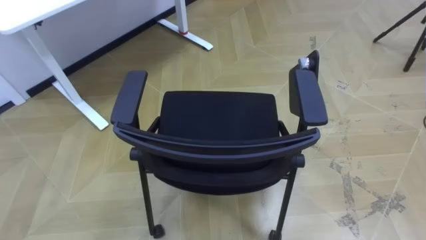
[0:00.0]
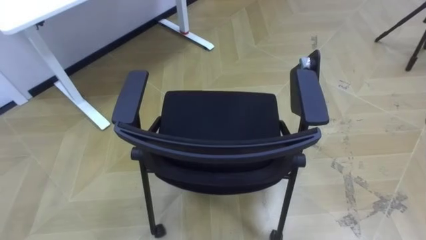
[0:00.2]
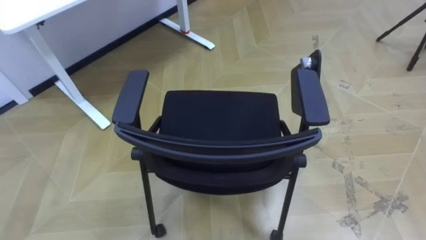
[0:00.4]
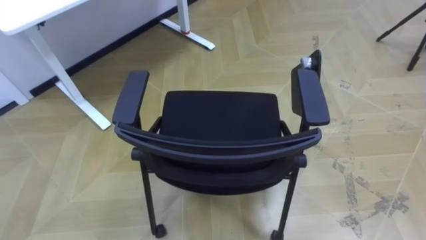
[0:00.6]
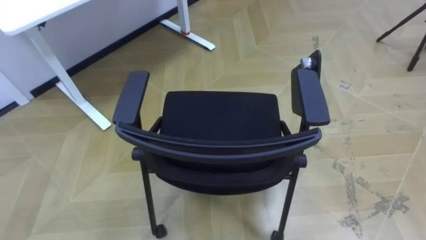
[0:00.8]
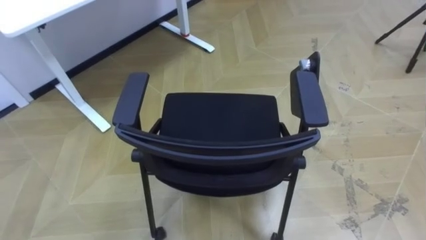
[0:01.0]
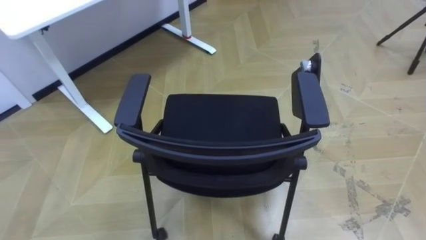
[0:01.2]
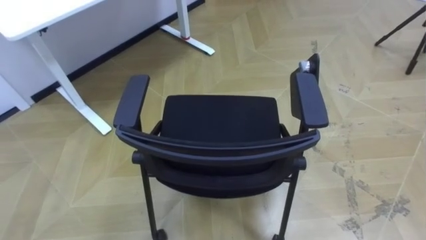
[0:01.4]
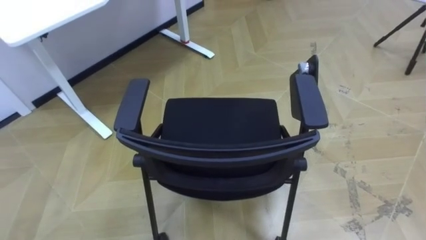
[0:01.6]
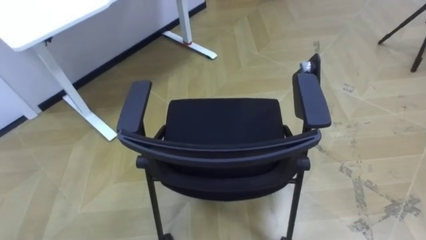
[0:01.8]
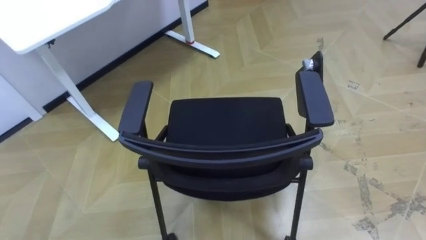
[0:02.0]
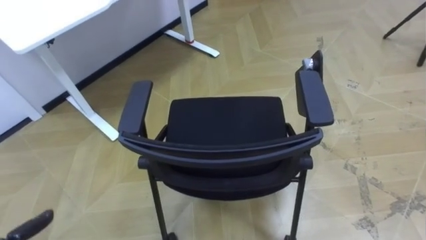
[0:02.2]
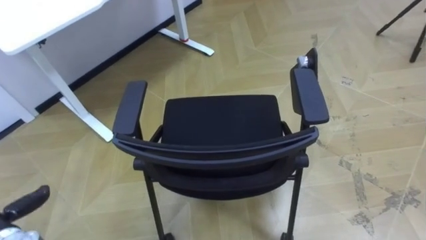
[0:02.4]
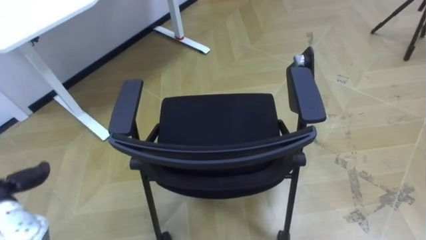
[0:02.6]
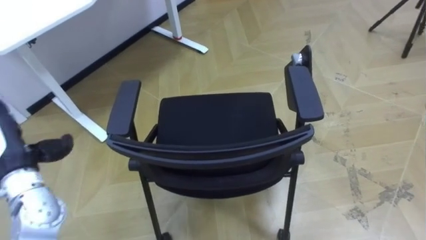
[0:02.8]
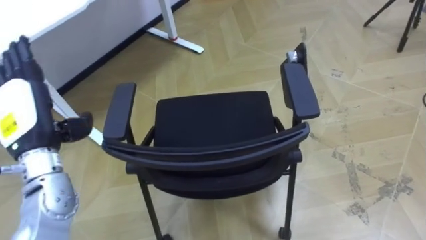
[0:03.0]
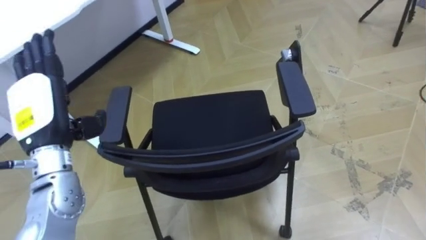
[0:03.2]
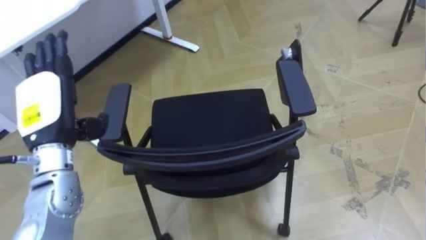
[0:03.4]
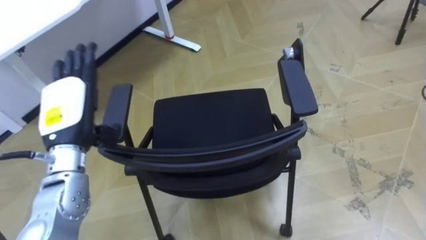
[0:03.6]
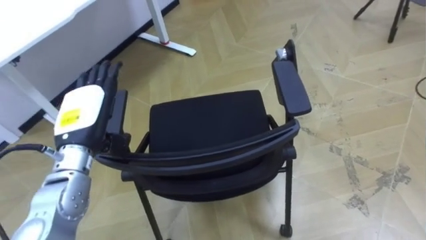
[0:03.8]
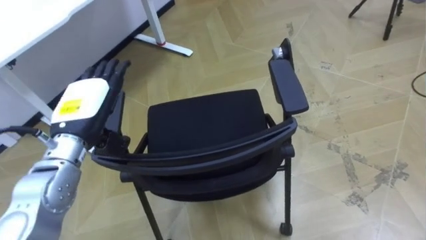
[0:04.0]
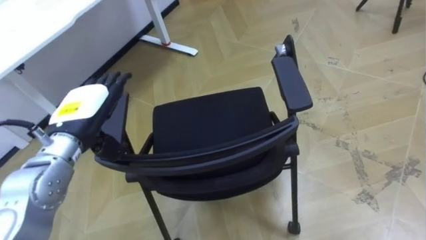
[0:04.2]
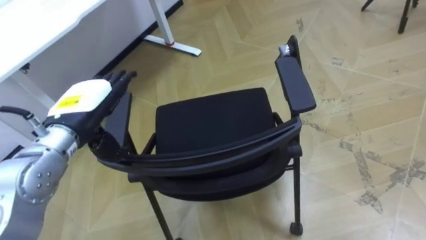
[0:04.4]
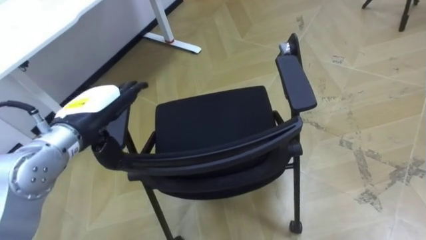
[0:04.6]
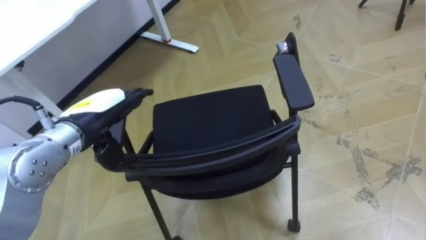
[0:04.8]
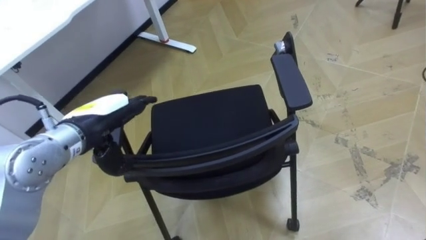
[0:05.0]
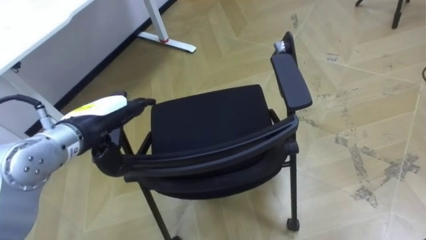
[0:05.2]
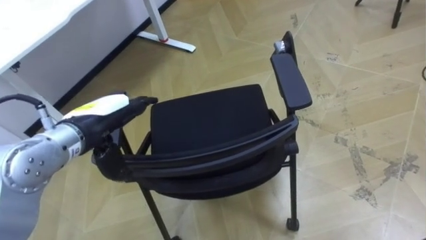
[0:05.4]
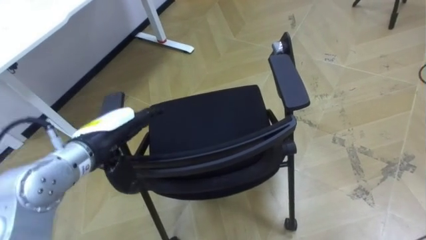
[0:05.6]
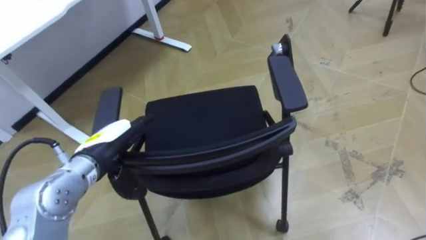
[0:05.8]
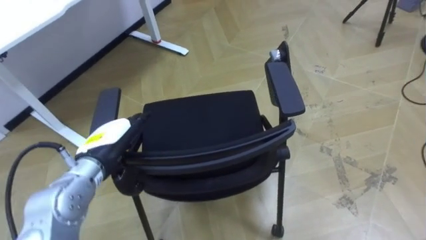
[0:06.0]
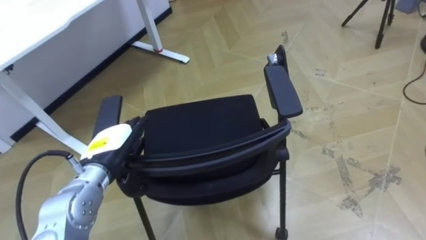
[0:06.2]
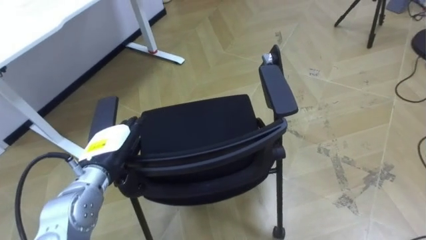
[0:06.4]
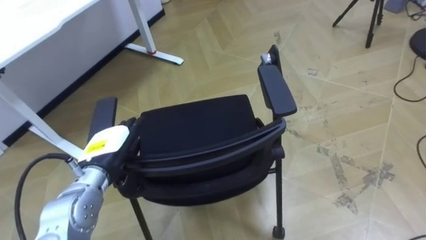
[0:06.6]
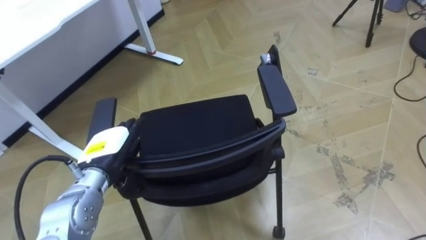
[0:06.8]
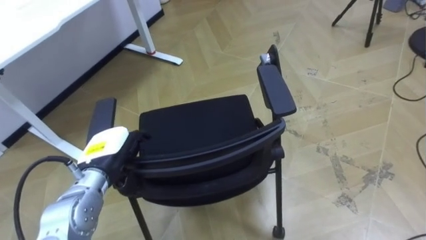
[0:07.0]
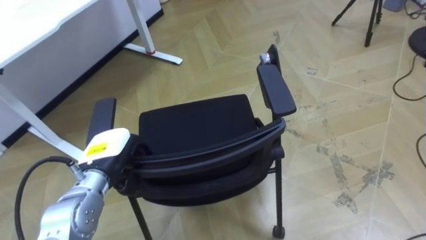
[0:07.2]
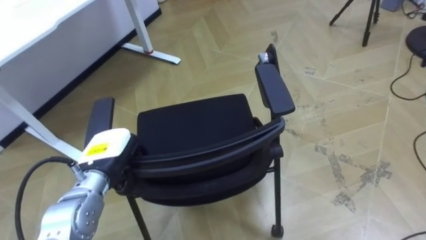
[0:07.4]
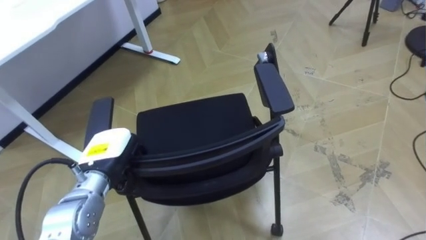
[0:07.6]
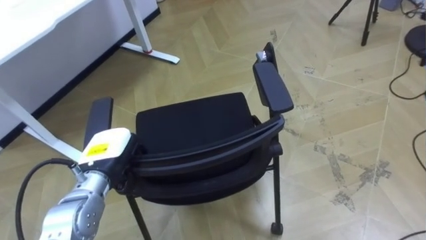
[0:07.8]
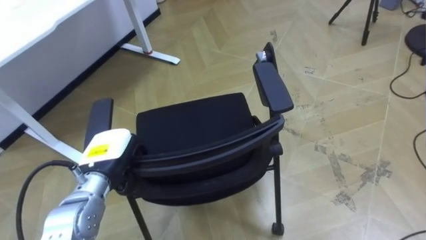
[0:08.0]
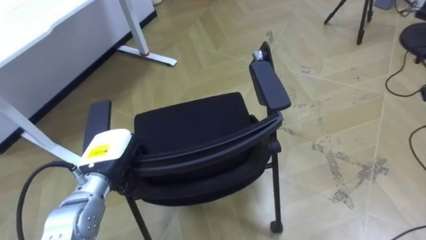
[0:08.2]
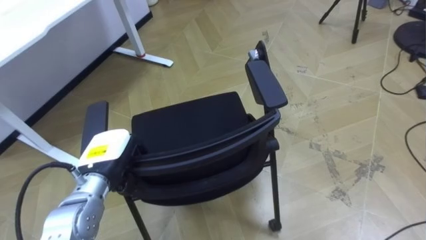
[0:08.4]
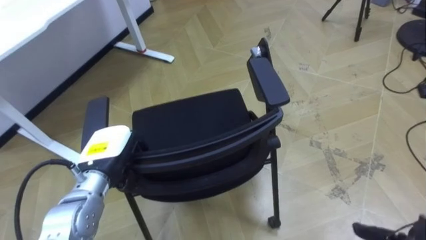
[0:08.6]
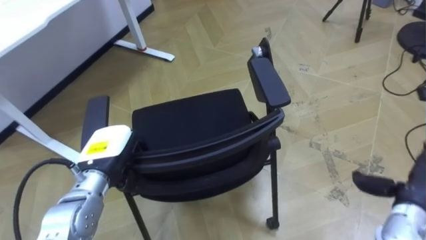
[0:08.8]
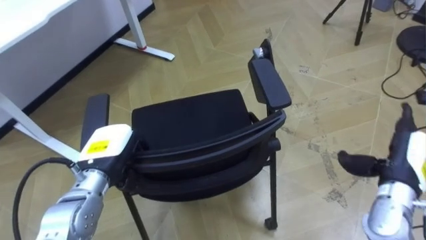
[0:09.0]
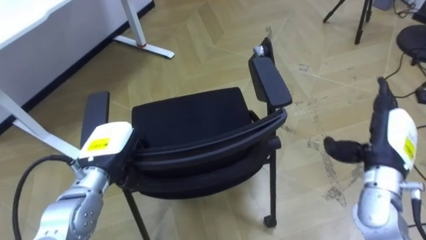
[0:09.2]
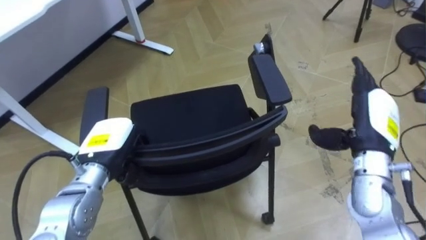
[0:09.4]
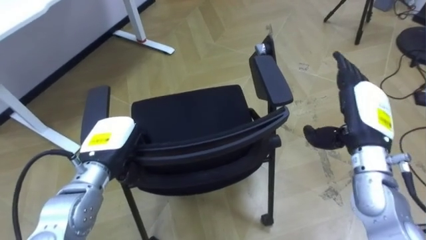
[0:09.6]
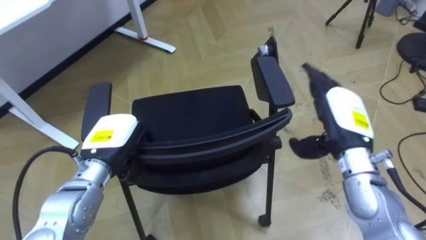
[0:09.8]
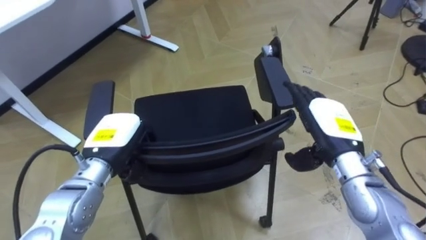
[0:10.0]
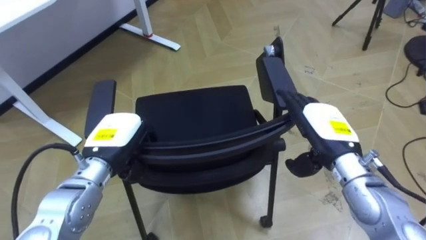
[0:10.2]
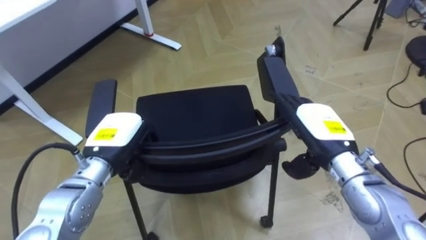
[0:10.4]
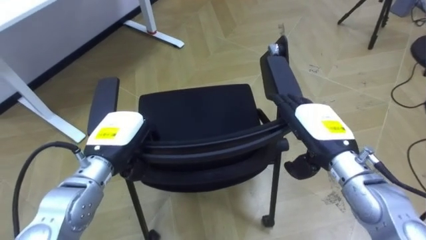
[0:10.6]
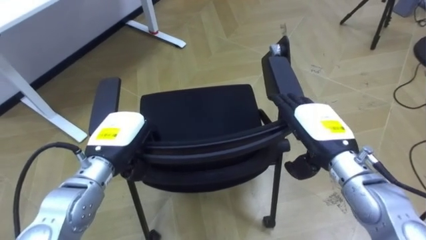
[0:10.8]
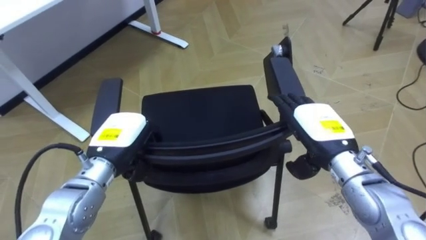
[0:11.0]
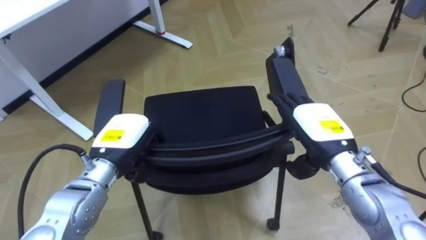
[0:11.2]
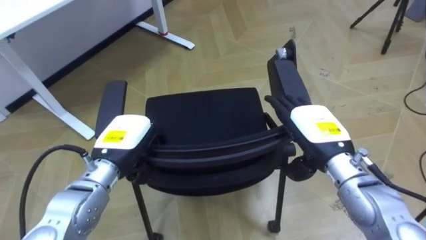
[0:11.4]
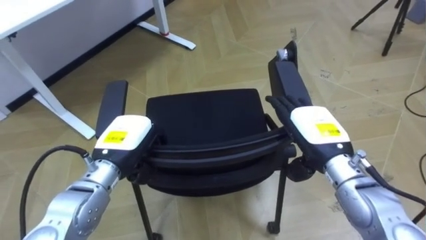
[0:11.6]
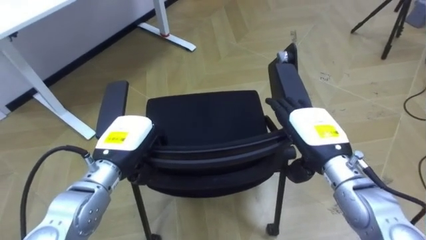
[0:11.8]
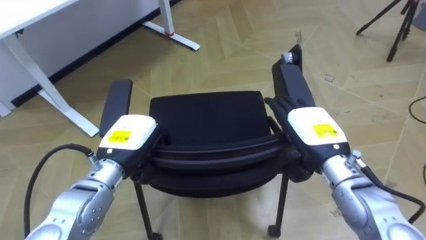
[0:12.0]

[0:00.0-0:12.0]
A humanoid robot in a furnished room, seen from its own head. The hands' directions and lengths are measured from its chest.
Task of the whole recording: Push the chair under the table.
3.0 to 4.4 s: The left hand moves to the right, approximately 5 cm.
4.4 to 6.0 s: The left hand moves downward, approximately 5 cm.
6.0 to 7.6 s: The left hand closes.
9.0 to 10.4 s: The right hand travels to the left by some 15 cm.

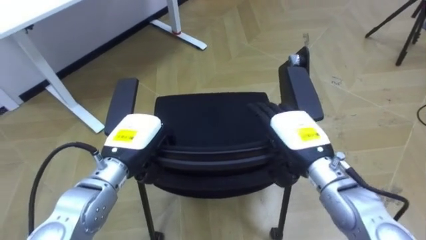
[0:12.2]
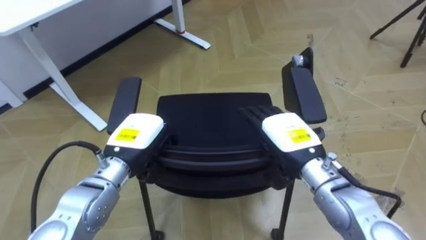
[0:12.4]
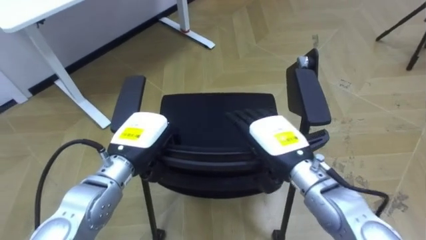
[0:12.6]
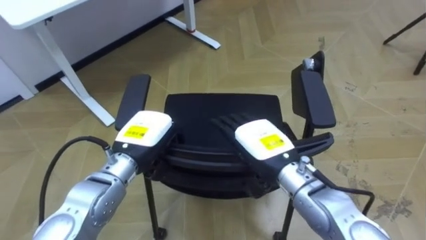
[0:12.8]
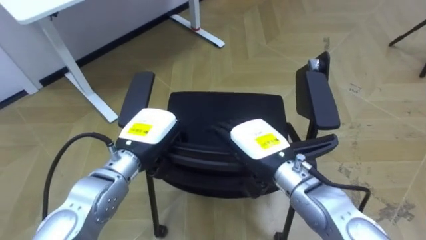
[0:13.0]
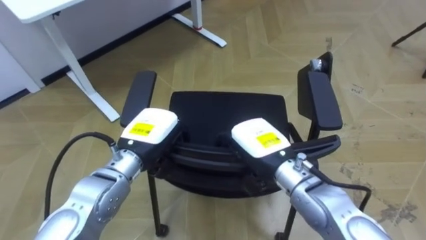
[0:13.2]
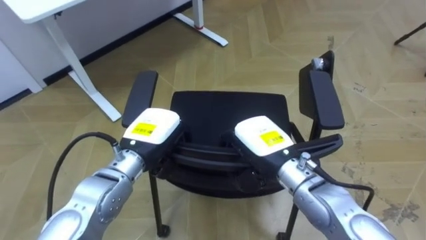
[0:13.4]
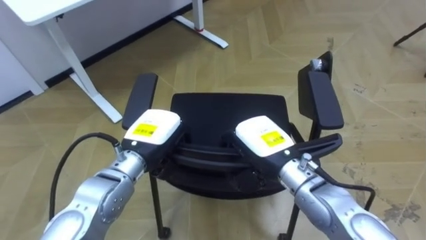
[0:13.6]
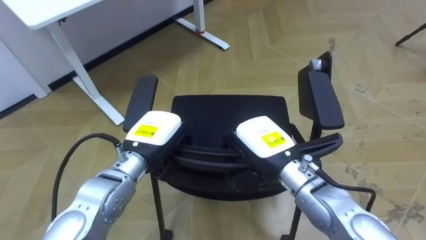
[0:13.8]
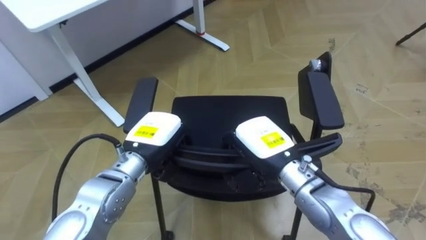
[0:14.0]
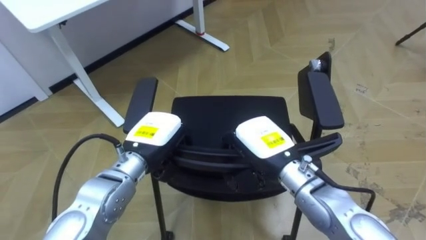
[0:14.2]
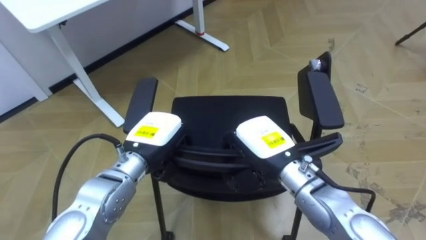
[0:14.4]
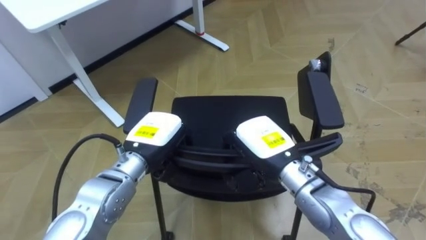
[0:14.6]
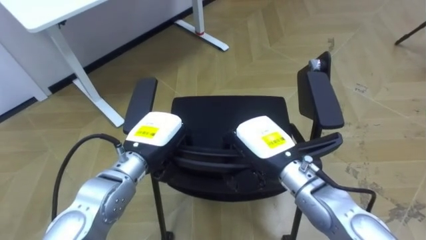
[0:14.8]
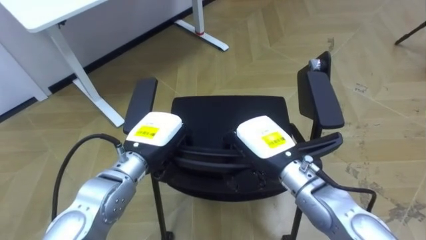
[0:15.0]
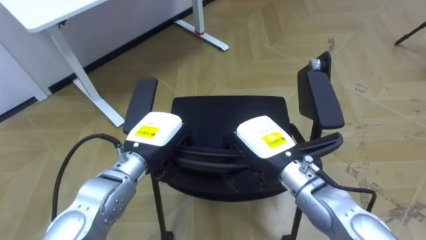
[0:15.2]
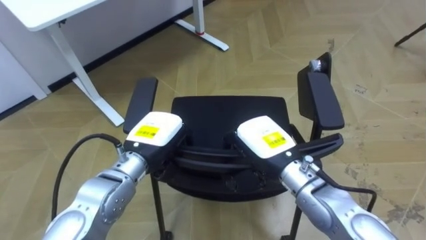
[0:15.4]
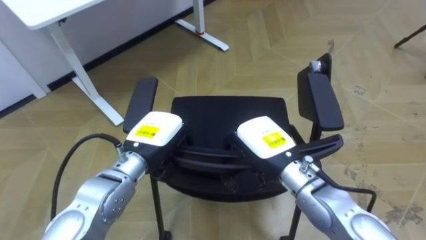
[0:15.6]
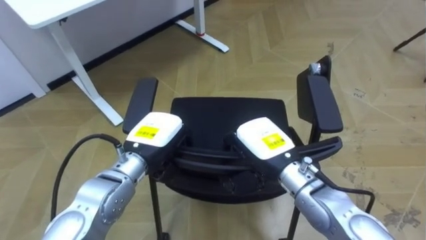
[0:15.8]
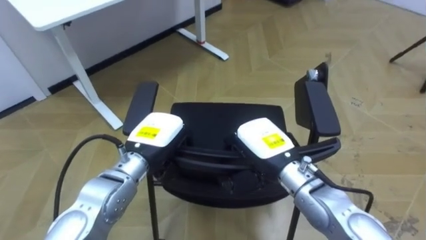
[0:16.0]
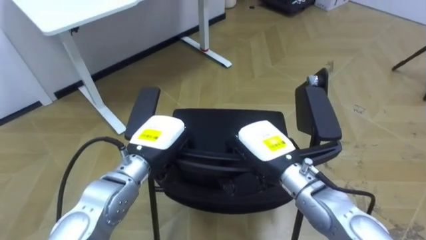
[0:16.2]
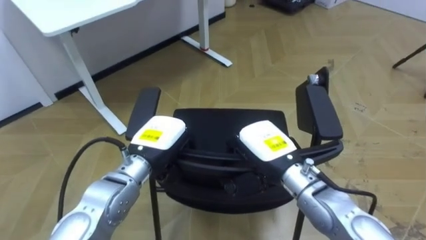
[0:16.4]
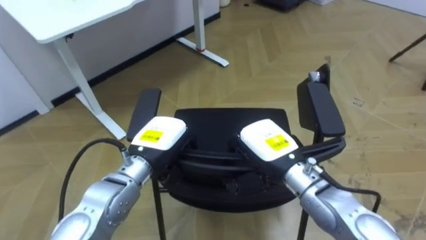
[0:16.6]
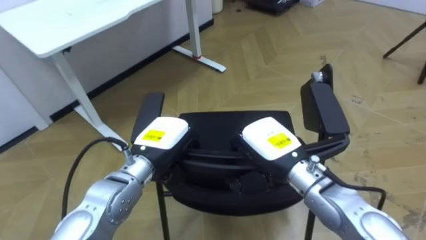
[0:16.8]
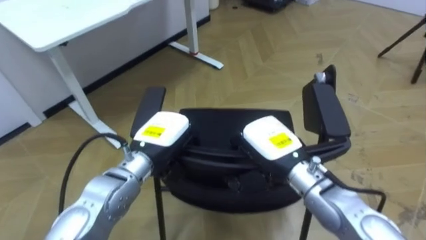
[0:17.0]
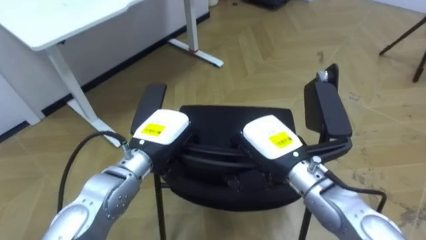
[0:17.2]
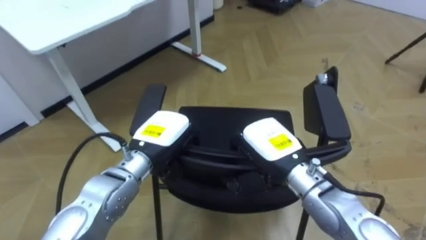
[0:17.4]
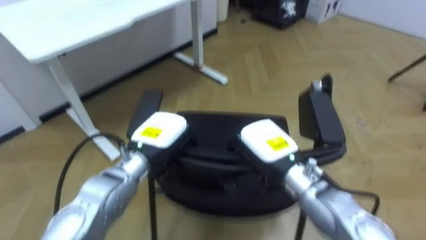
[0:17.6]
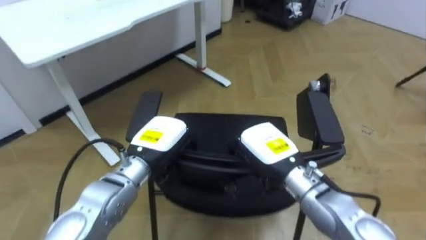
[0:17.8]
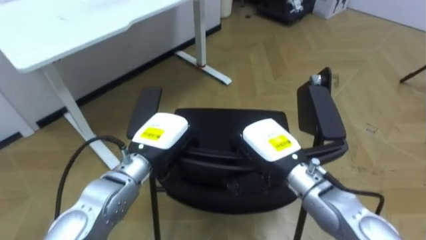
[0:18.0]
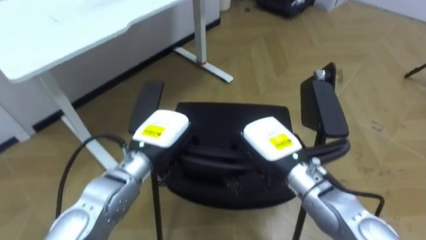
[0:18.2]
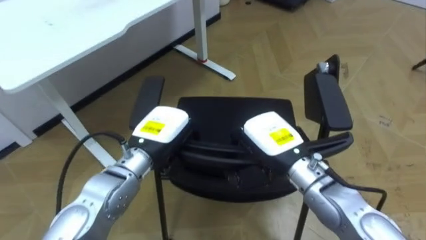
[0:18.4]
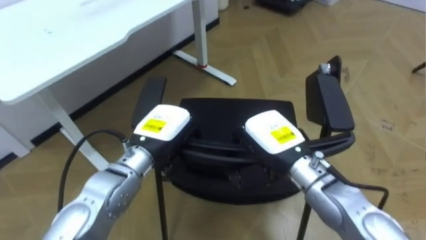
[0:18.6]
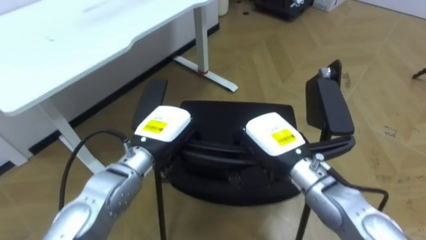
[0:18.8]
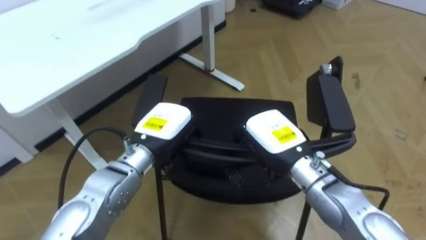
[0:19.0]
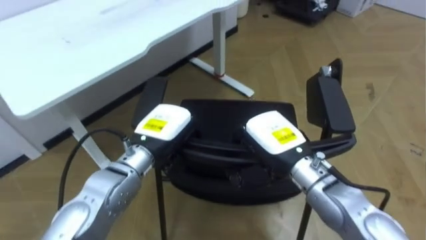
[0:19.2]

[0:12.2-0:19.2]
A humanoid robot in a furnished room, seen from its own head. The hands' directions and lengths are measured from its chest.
Task of the whole recording: Push the chair under the table.
12.2 to 13.6 s: The right hand heads to the left, covering approximately 5 cm, and closes.
13.6 to 15.0 s: Neither hand changes place.
